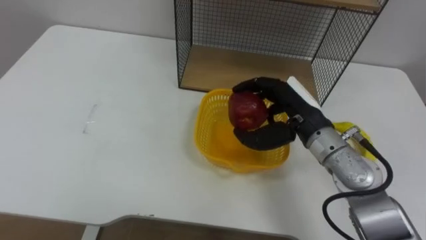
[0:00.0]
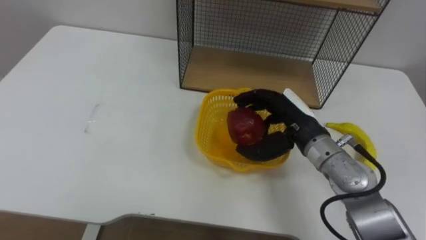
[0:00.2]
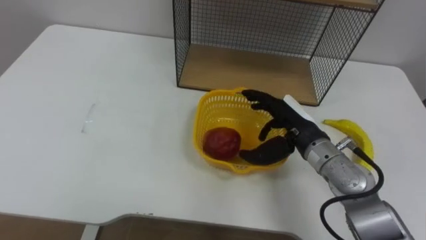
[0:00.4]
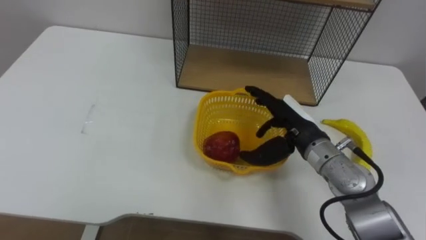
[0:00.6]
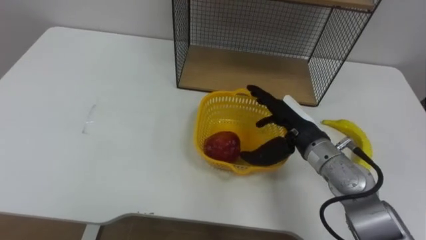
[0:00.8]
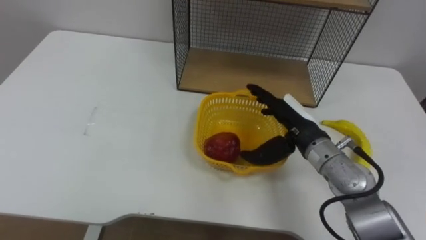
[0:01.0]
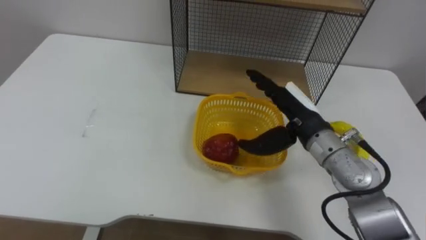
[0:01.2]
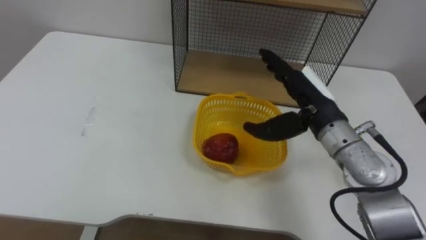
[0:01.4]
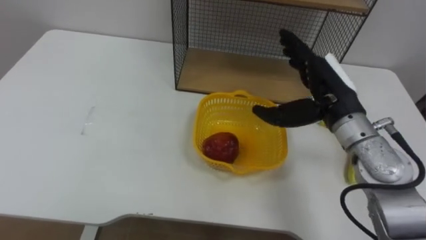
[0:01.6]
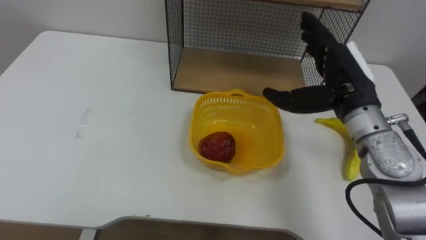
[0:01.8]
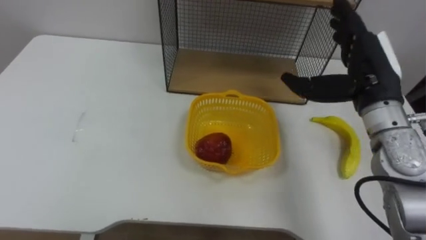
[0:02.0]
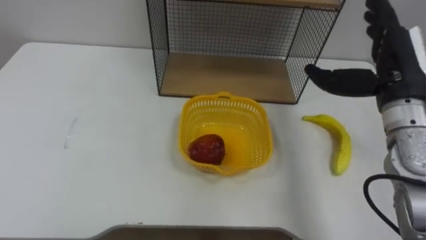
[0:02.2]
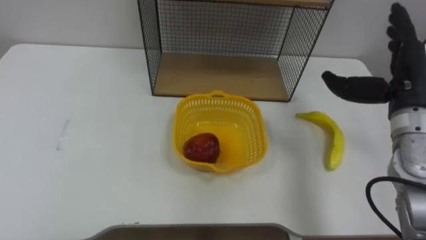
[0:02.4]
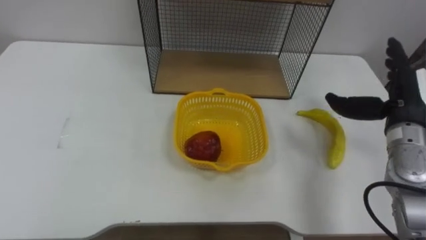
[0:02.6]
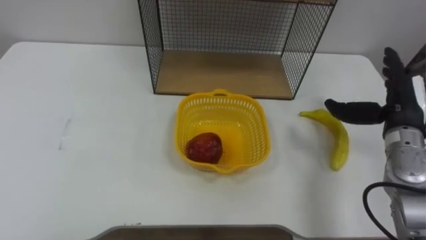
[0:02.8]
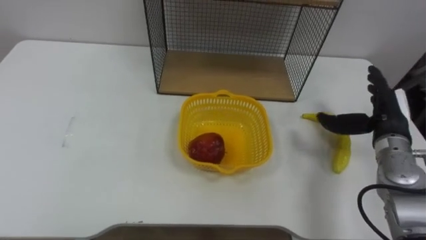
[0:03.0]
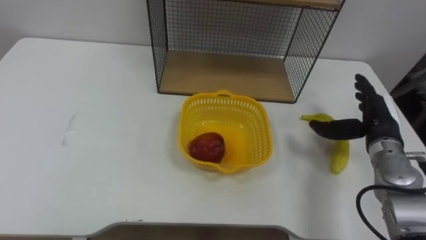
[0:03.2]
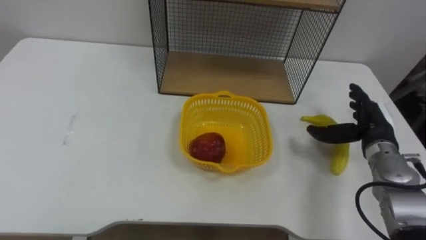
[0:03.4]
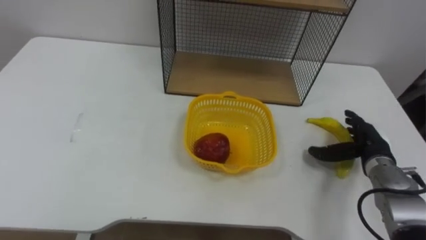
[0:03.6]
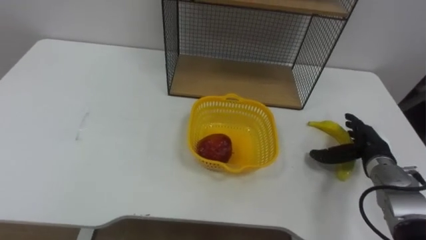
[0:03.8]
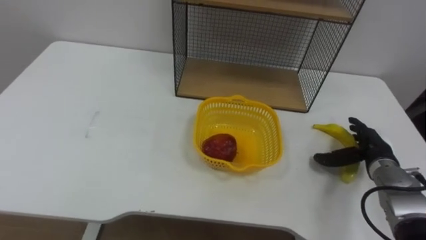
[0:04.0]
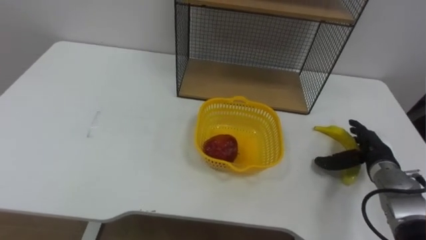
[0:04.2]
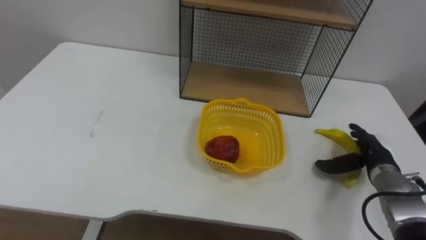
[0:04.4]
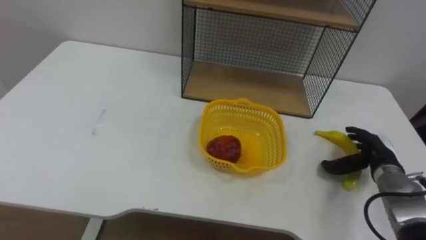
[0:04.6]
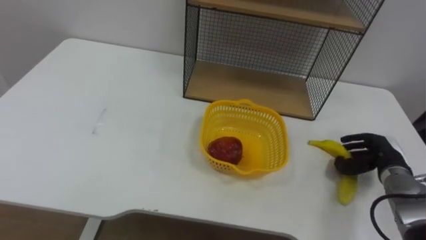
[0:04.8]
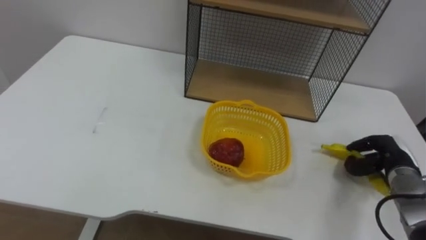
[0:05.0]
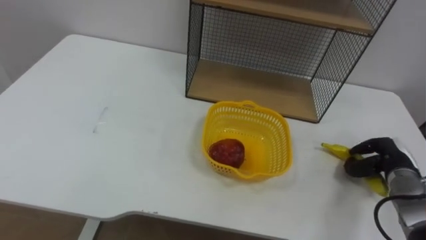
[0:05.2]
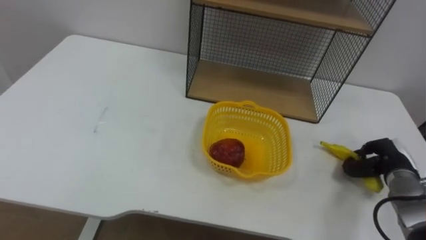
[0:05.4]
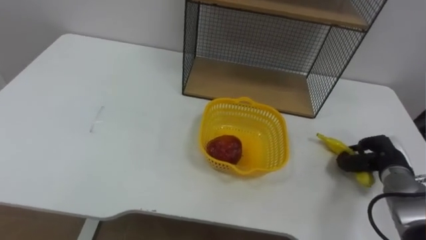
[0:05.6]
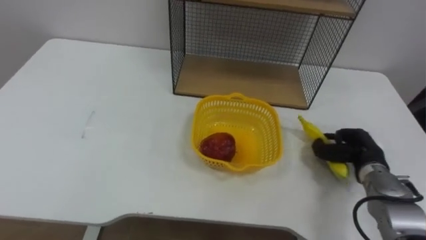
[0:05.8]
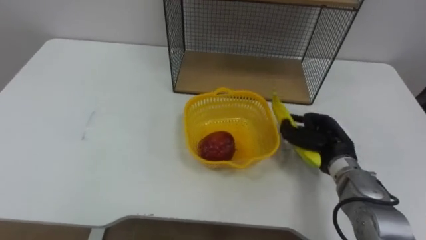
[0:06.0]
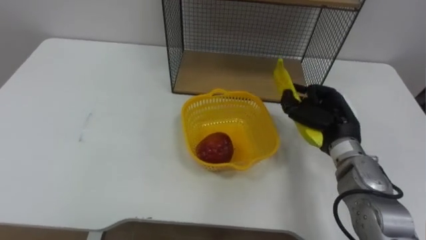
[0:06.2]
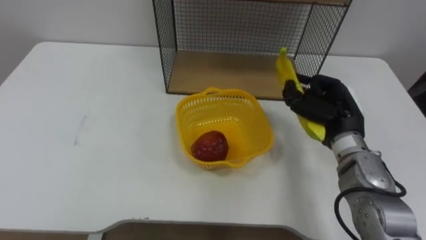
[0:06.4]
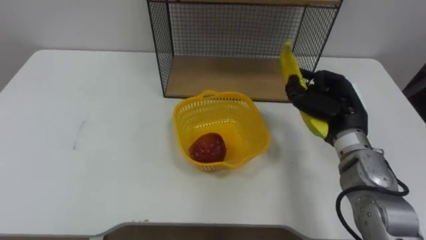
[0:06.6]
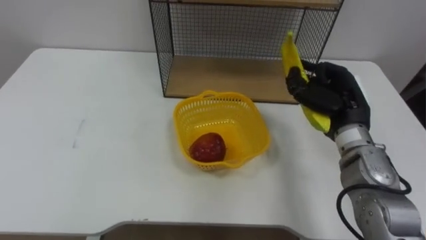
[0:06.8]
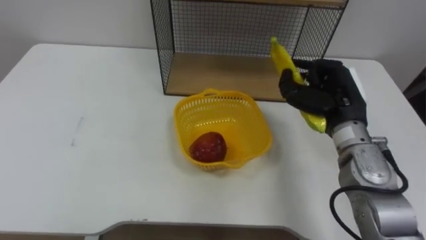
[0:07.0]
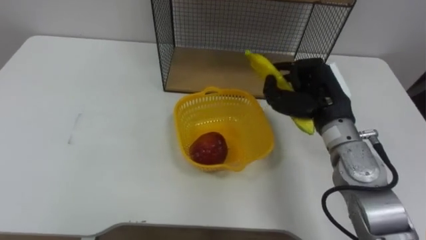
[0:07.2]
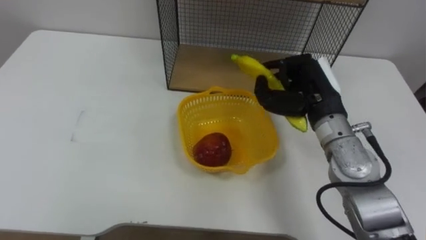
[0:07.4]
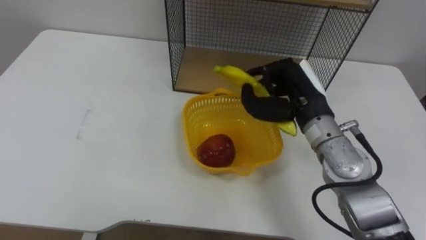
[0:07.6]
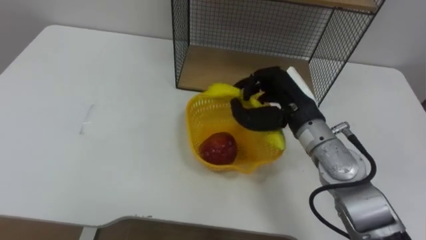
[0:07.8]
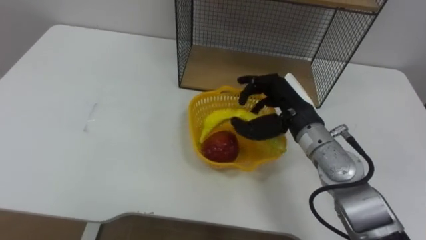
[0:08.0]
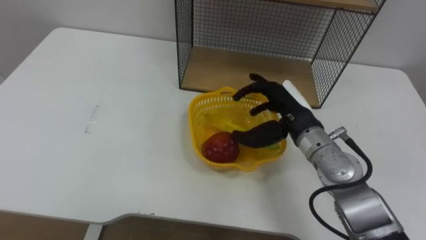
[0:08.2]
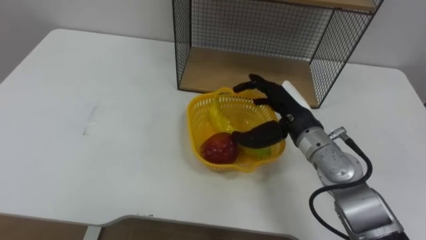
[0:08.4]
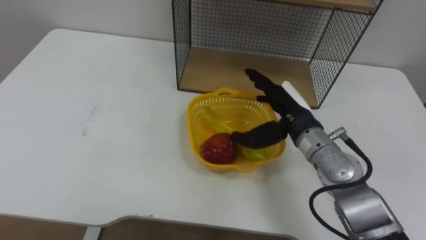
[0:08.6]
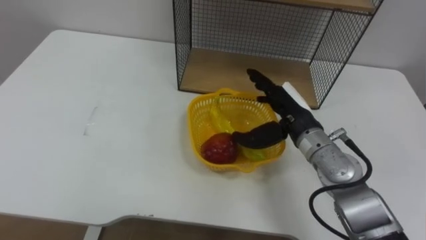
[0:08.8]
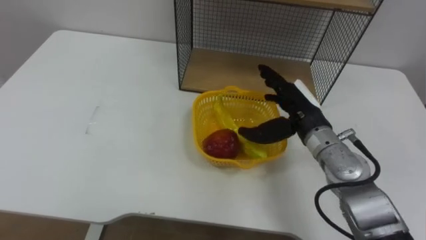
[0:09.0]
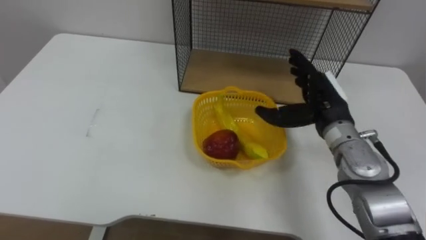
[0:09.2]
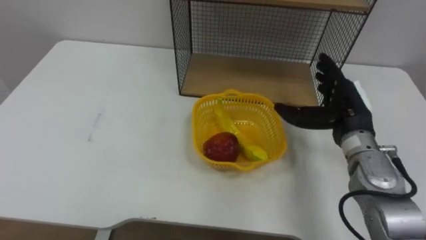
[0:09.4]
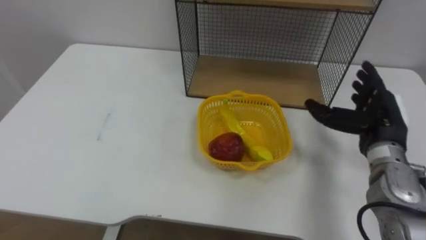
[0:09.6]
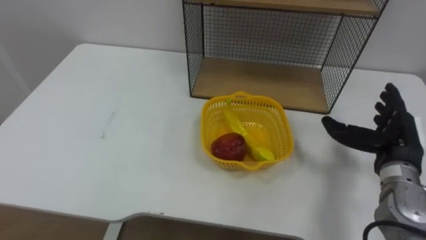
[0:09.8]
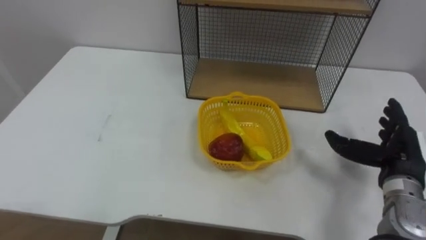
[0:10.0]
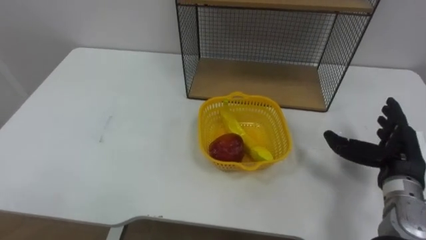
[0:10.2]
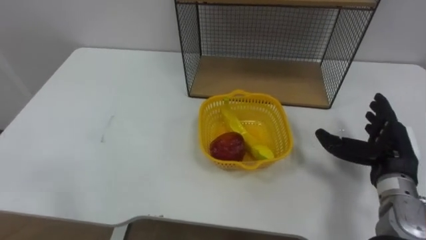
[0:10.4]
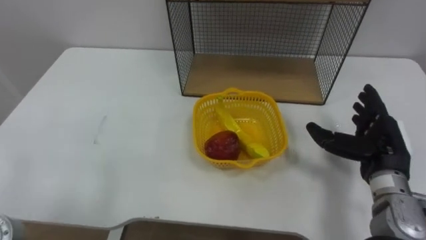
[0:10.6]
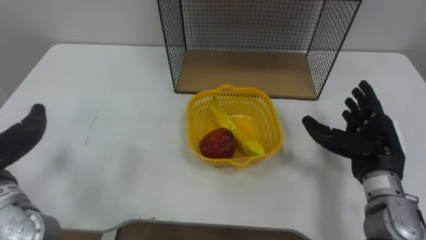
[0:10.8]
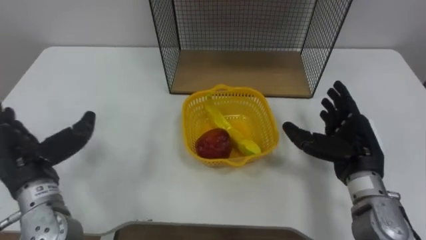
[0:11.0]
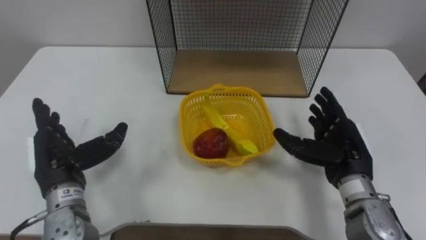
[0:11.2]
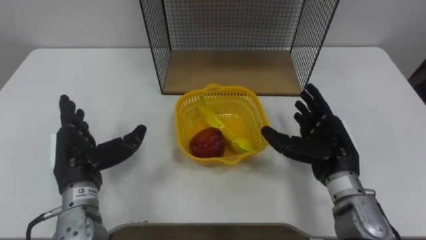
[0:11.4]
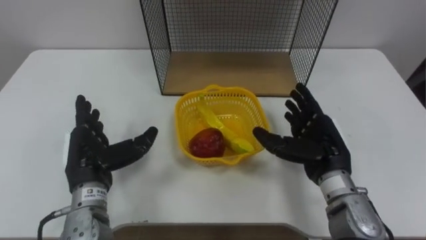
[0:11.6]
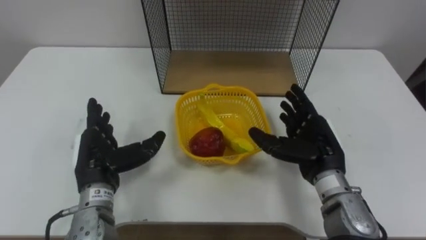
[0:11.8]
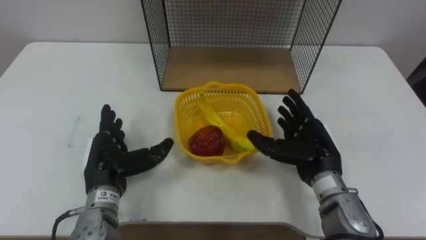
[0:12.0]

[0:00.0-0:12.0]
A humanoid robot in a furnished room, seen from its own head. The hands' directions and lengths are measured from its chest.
Task of the whole recording: Put the fruit on the table into the basket, then place the basket on the shelf.
0:00.0 to 0:01.6: The right hand ends up approximately 5 cm from where it was, and opens up.
0:01.6 to 0:03.0: The right hand moves to the right and downward, about 15 cm.
0:03.0 to 0:04.4: The right hand goes about 10 cm downward.
0:04.4 to 0:06.0: The right hand heads to the left, covering approximately 10 cm, and closes.
0:06.0 to 0:07.6: The right hand goes about 15 cm upward and to the left.
0:07.6 to 0:09.0: The right hand opens up.
0:09.0 to 0:10.4: The right hand shifts some 15 cm to the right and backward.
0:10.4 to 0:12.0: The right hand heads to the left, covering approximately 10 cm.

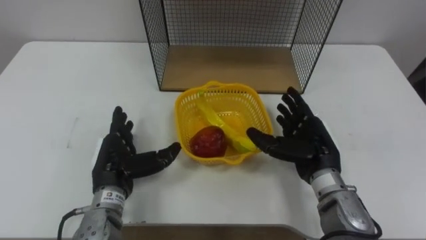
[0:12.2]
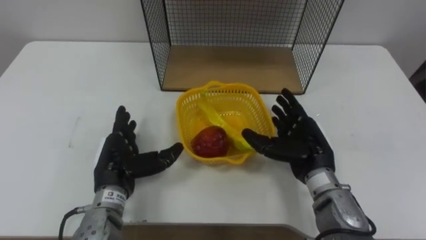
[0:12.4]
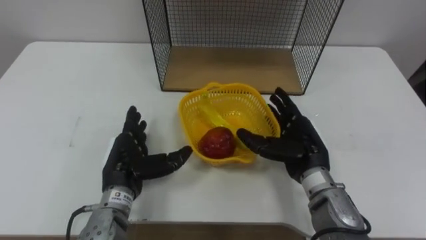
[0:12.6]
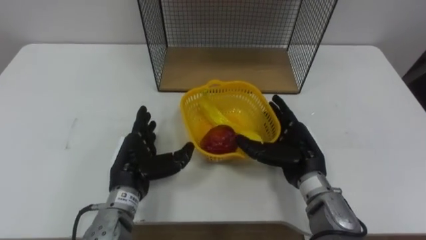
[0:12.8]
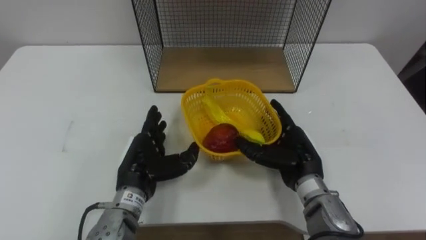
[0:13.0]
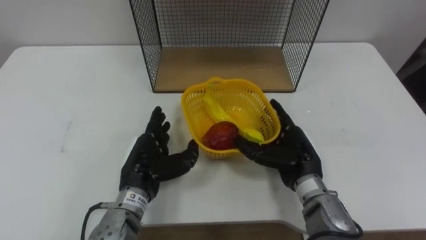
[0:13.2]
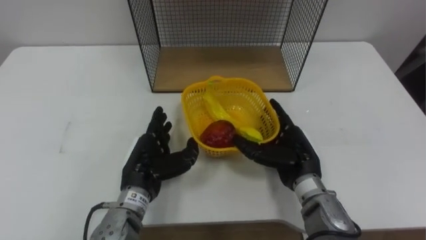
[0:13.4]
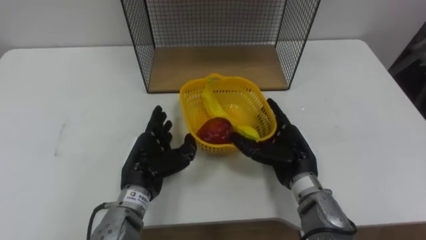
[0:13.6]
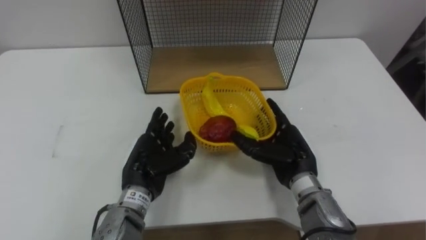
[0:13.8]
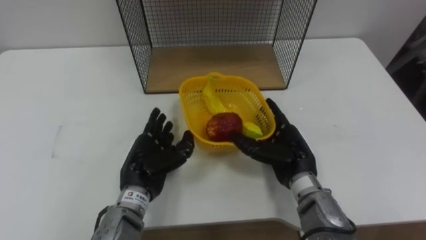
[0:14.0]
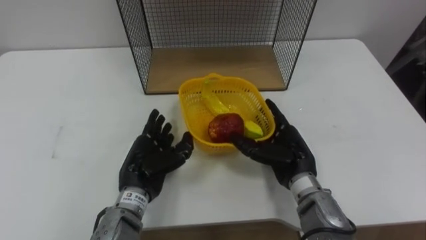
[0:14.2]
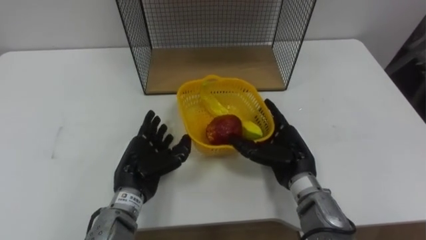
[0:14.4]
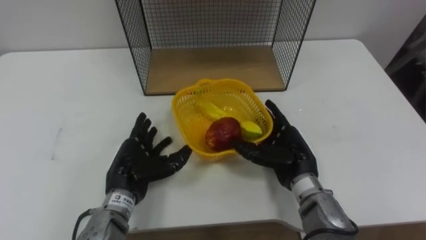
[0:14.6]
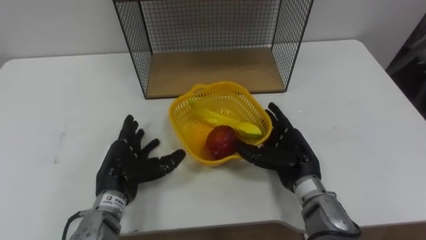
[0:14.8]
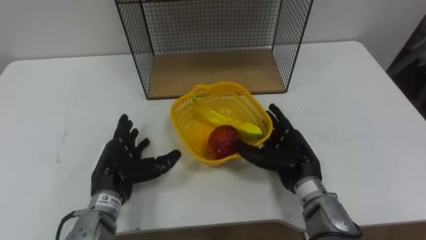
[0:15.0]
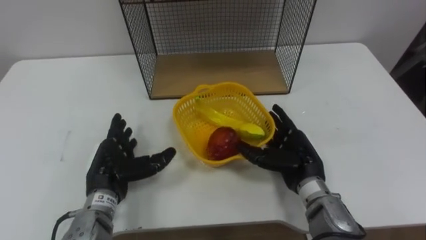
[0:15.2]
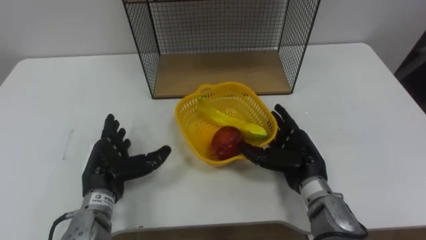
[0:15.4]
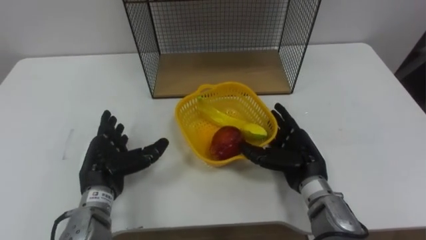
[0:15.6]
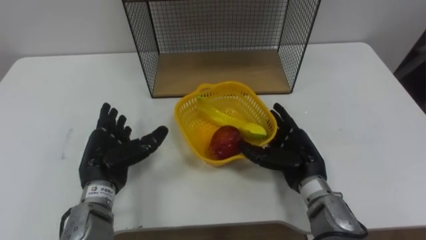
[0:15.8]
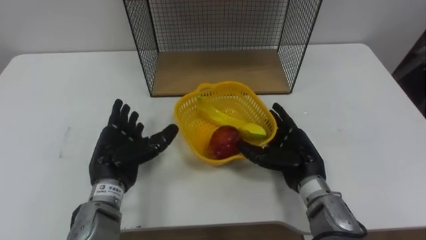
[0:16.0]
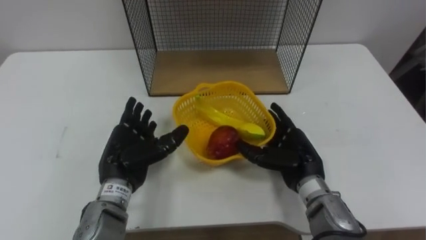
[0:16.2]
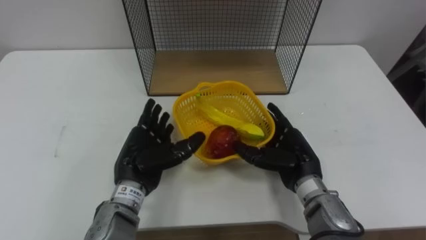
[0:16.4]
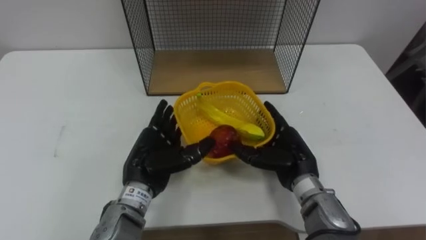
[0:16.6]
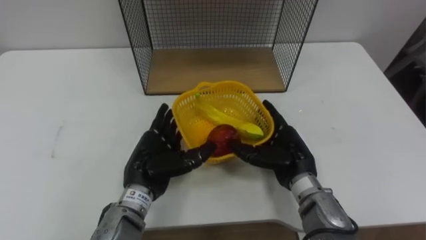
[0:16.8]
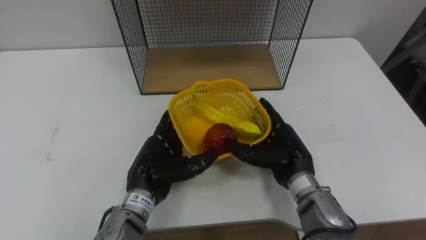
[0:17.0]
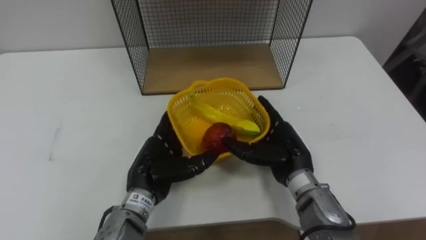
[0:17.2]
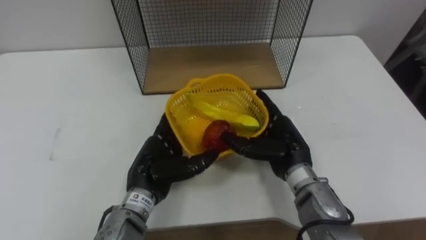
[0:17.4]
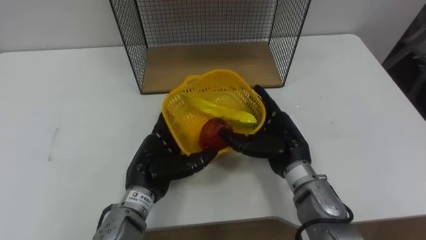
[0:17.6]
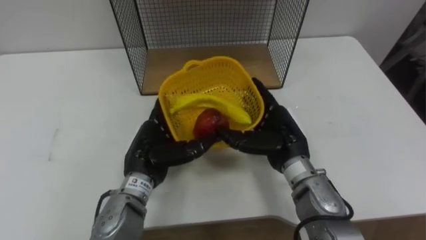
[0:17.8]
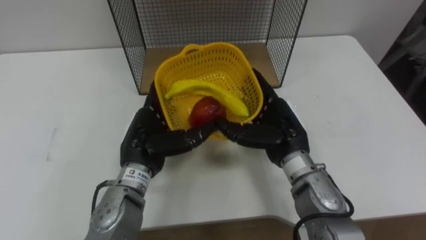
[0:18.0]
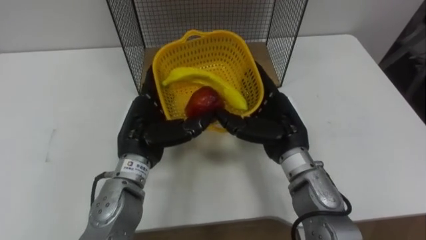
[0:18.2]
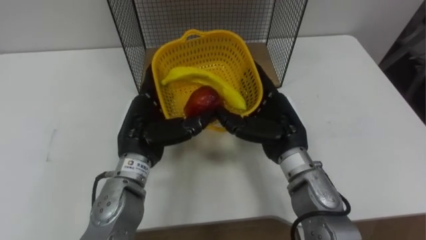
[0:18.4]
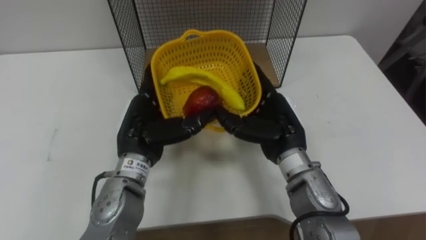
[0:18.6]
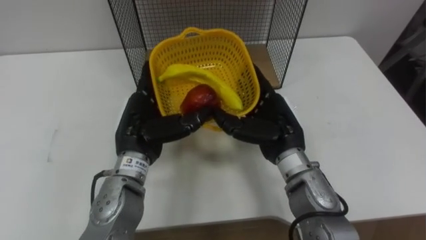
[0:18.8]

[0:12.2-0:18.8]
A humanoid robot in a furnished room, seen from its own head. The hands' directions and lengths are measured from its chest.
Task of the whole recording: Put the fruit on the table into the basket, then place the basket on the shelf.
0:12.2 to 0:13.8: The left hand travels to the right by roughly 5 cm.
0:13.8 to 0:15.4: The left hand is displaced to the left by some 10 cm.
0:15.4 to 0:17.2: The left hand shifts approximately 10 cm to the right.
0:17.2 to 0:18.8: The hands both shift upward by roughly 5 cm.
